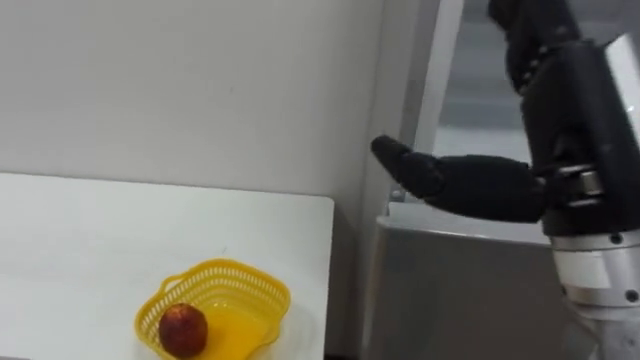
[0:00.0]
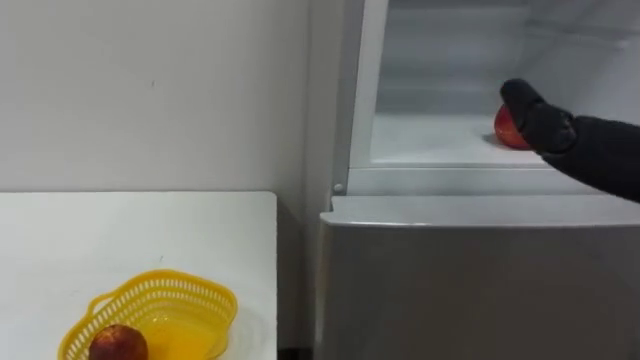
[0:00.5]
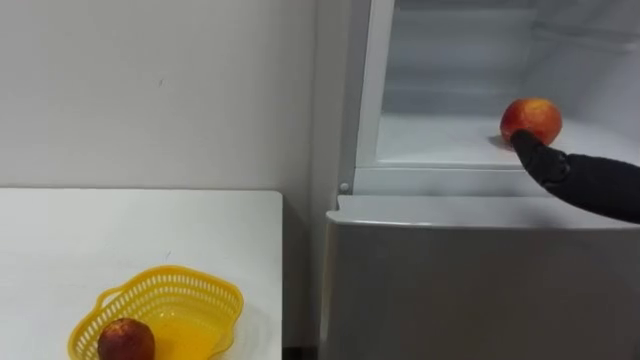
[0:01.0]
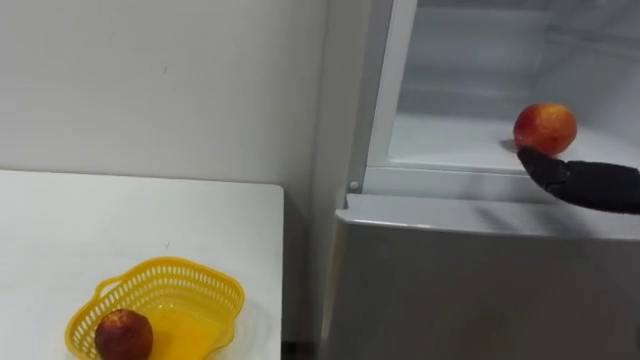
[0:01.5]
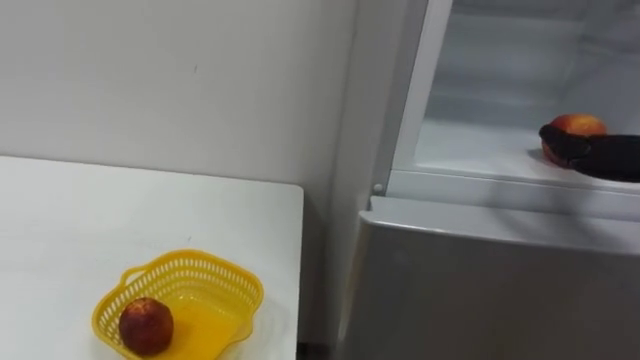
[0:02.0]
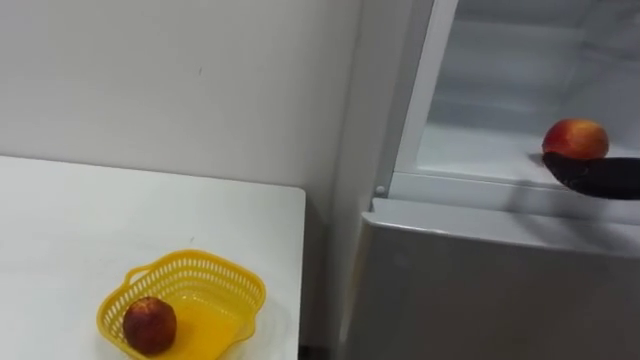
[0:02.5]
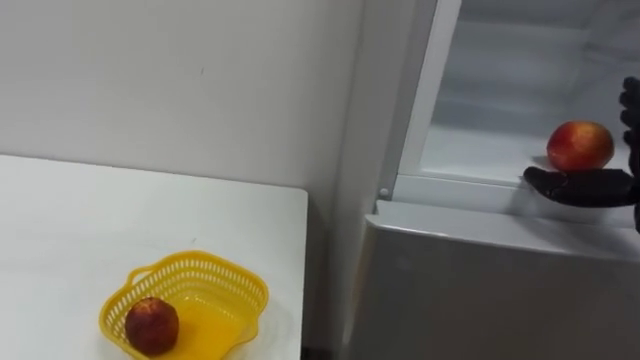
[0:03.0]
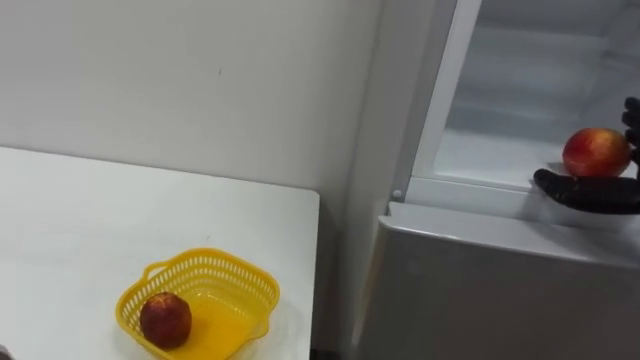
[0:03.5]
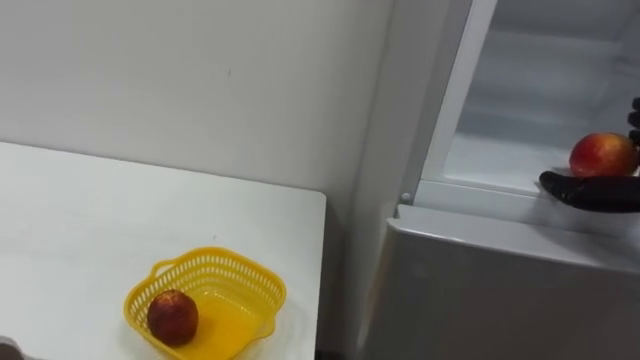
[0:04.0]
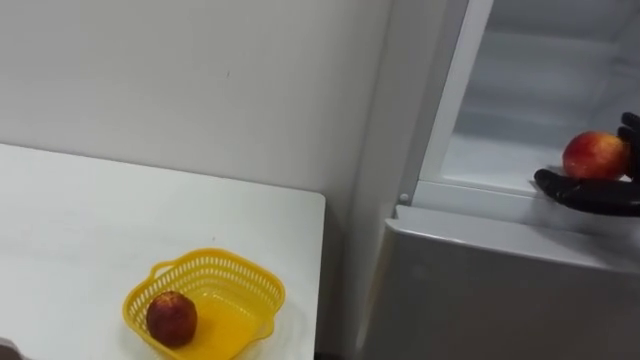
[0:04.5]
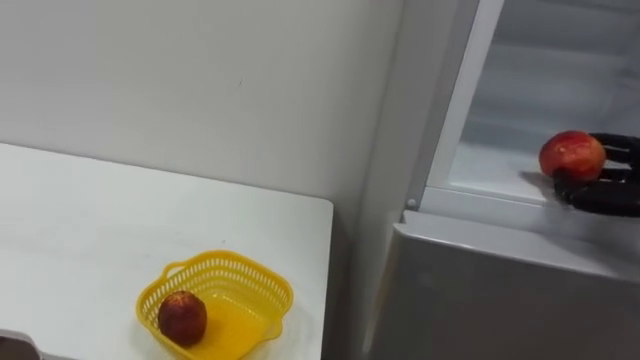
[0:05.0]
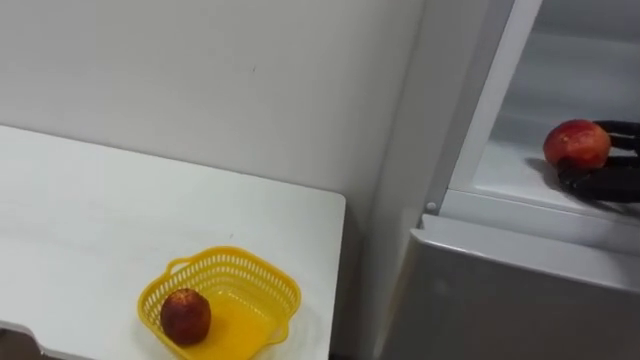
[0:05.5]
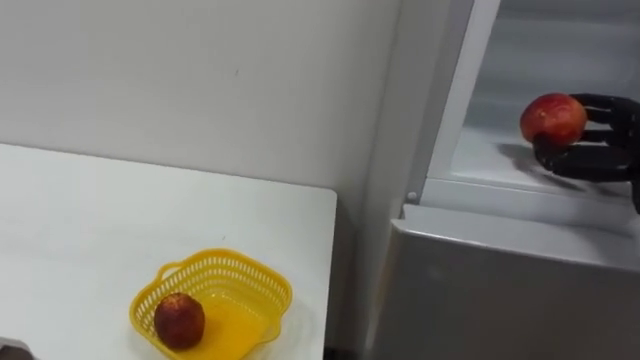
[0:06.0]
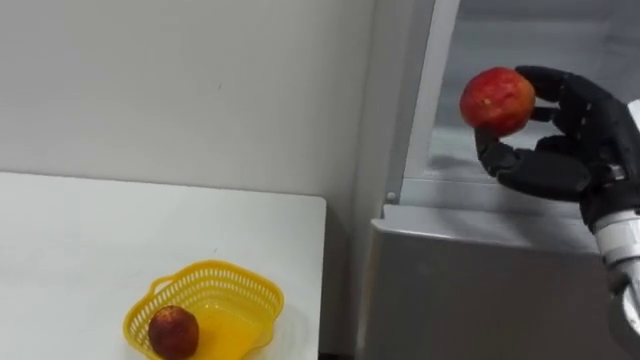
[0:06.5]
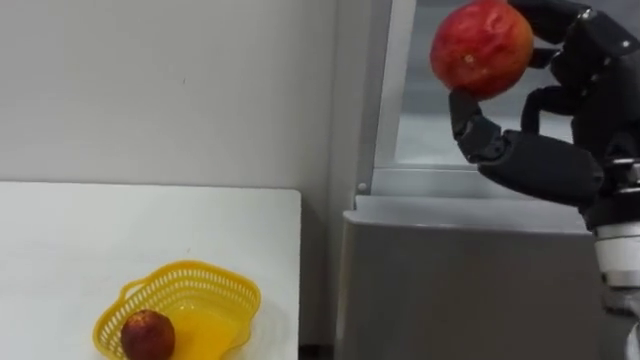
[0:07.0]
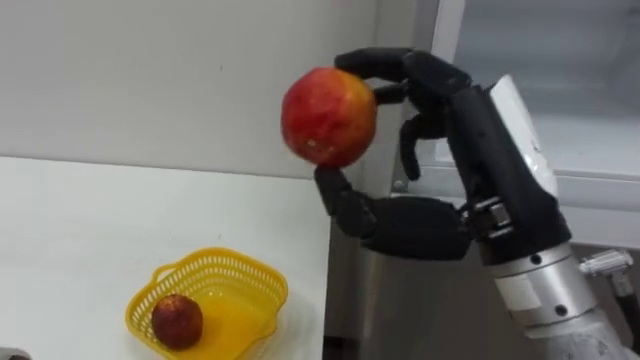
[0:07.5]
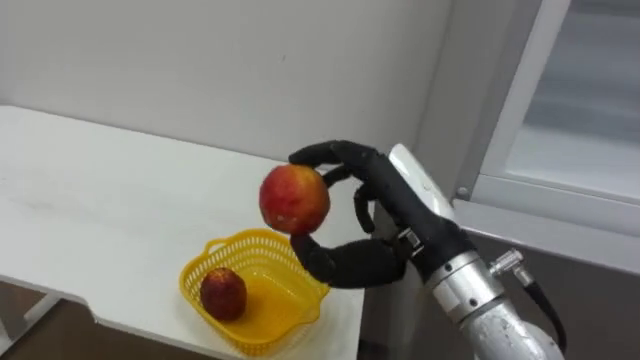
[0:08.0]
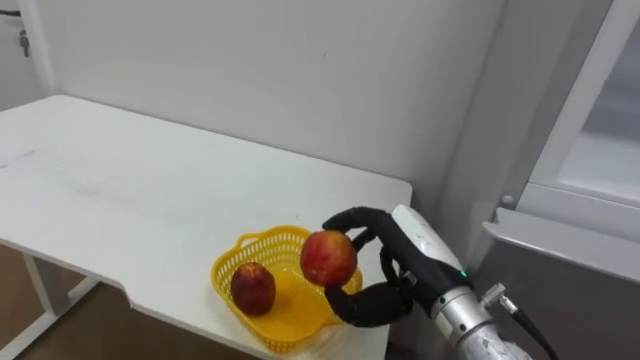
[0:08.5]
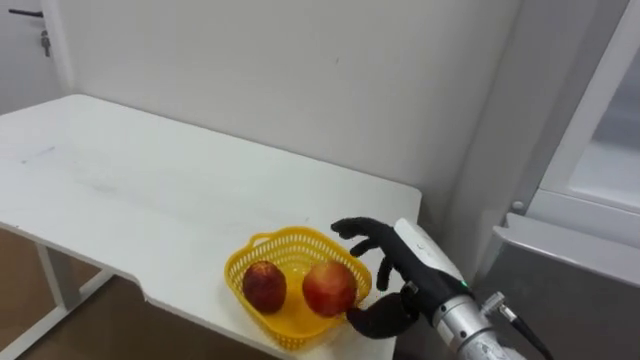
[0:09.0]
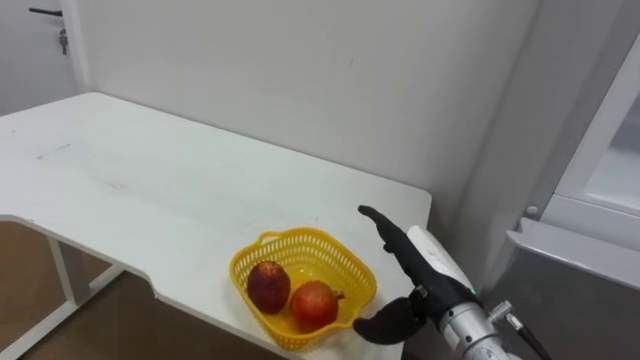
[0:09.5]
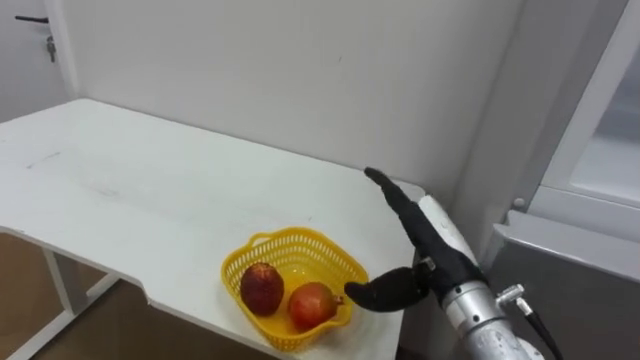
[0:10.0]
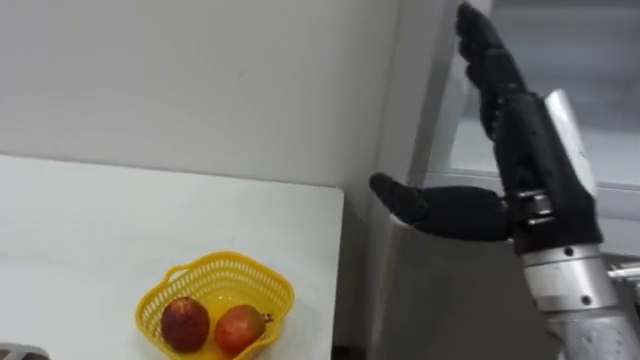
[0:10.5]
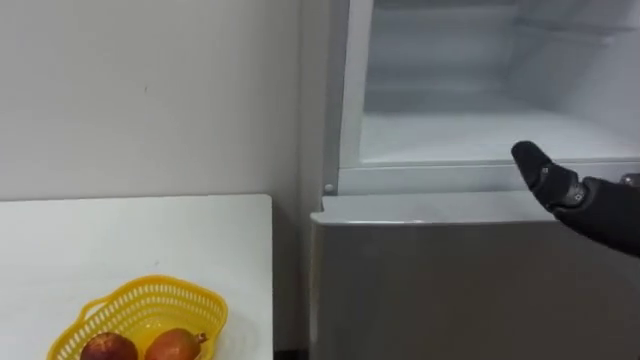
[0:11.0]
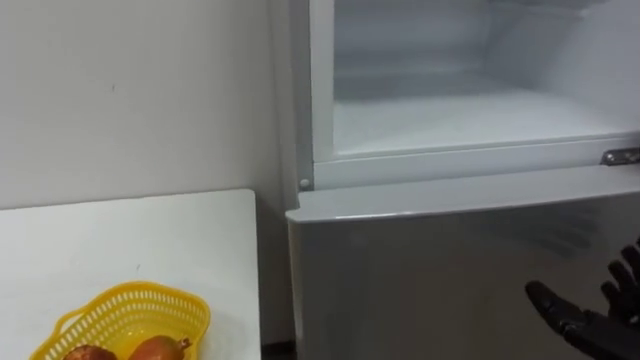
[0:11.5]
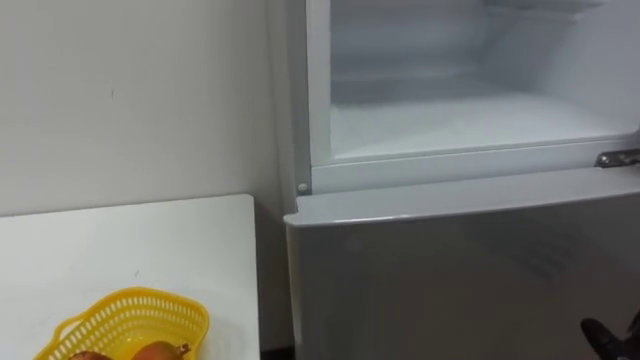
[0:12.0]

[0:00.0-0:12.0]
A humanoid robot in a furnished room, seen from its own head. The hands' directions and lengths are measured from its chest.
Task of the whole recording: Open the refrigerator door, take out the apple and the pomegranate, place them in the fruit basket on the left, and close the refrigerator door.
0:06.0 to 0:08.0: The right hand moves to the left, about 25 cm.
0:08.0 to 0:10.0: The right hand shifts some 10 cm downward, and opens up.

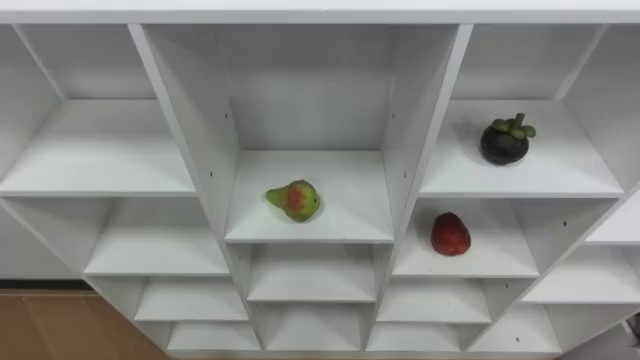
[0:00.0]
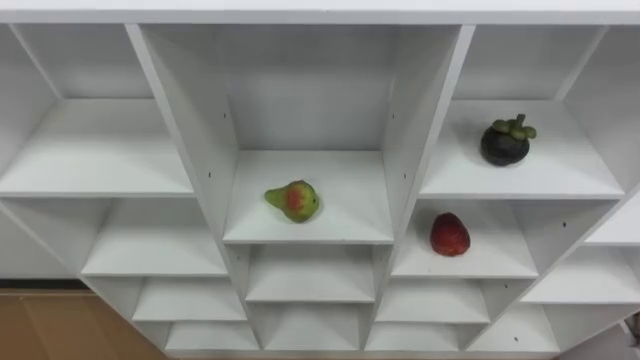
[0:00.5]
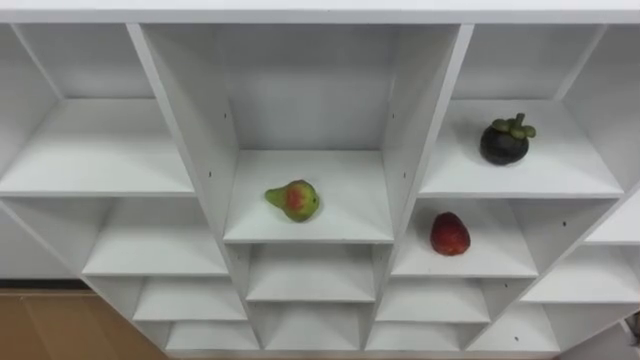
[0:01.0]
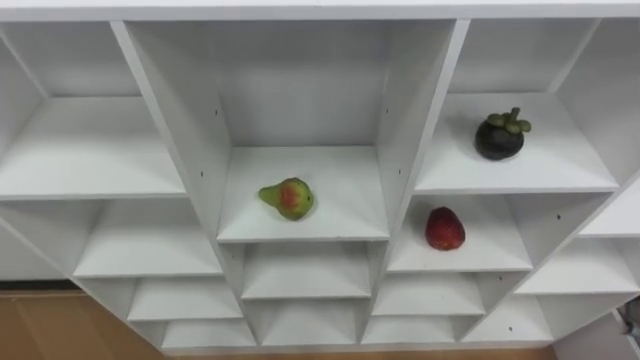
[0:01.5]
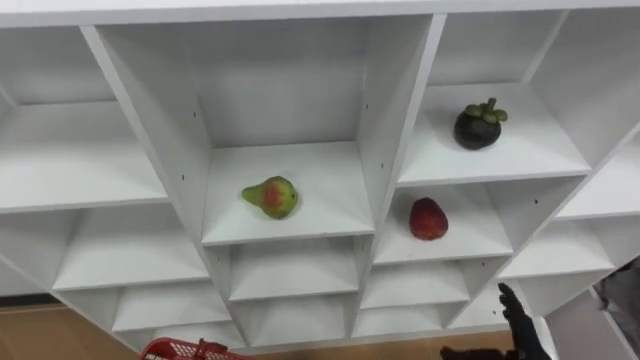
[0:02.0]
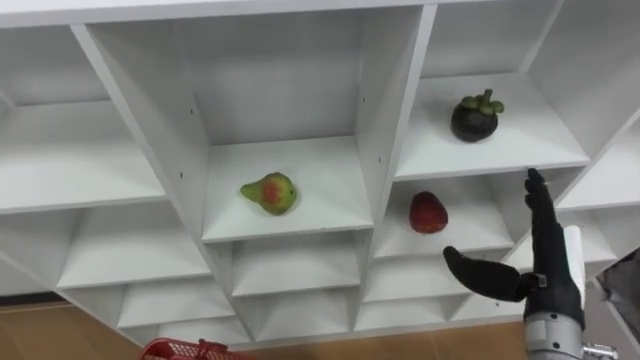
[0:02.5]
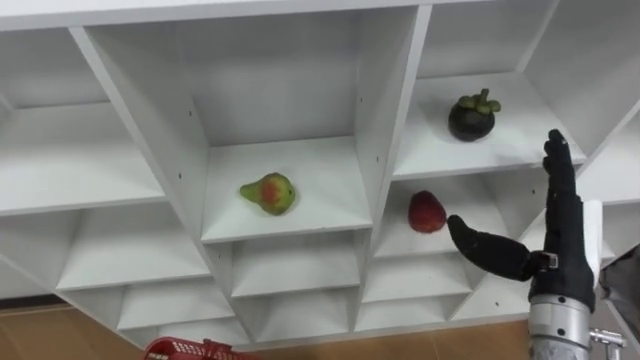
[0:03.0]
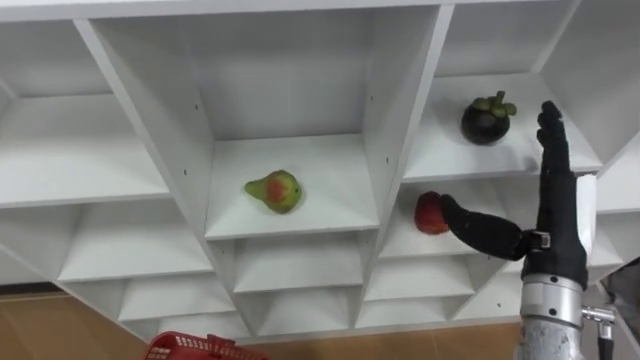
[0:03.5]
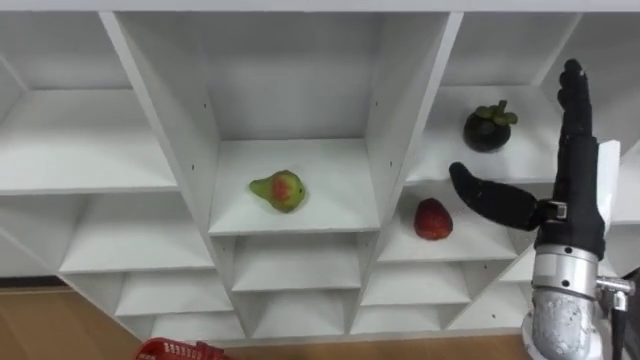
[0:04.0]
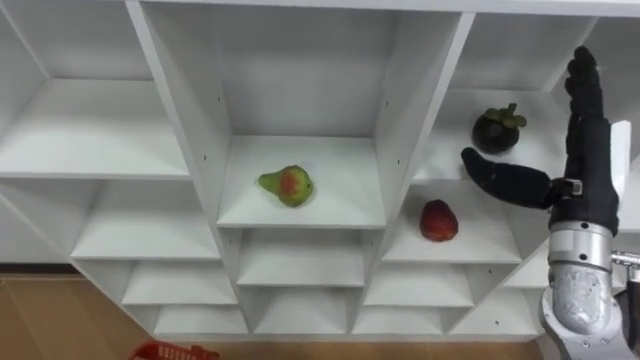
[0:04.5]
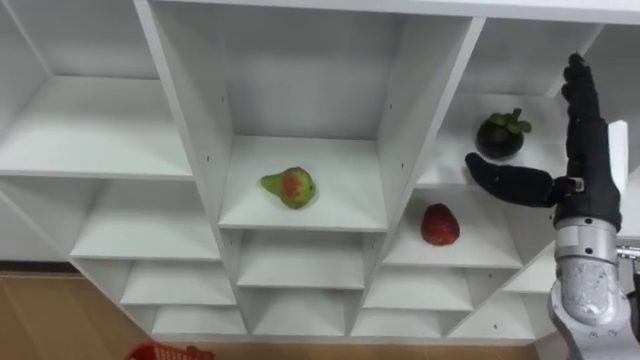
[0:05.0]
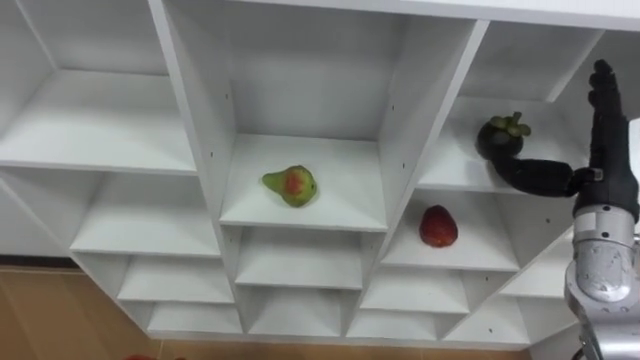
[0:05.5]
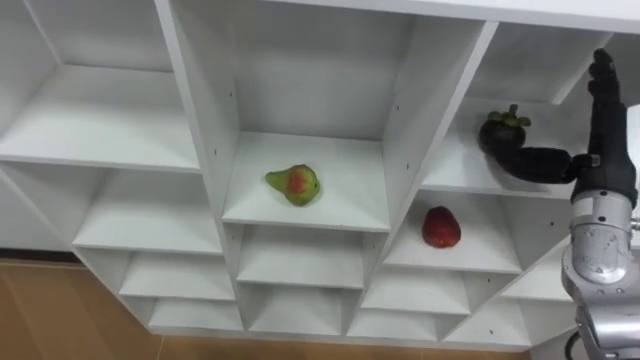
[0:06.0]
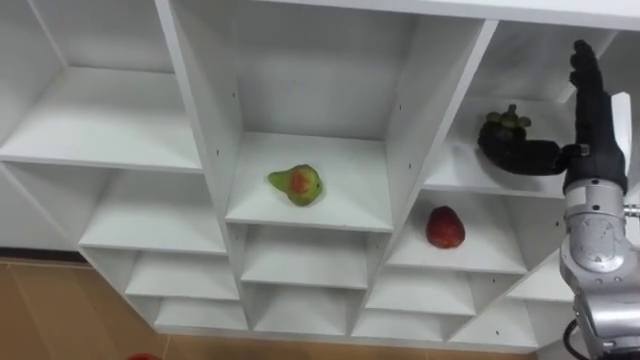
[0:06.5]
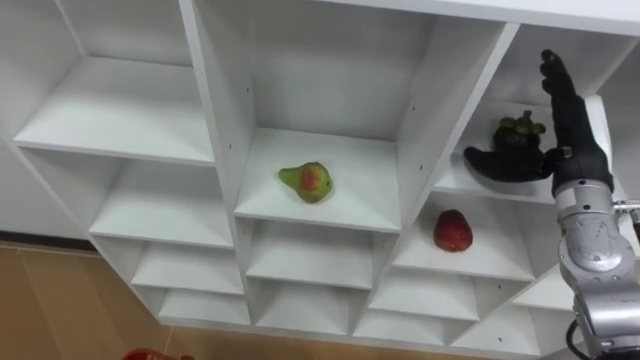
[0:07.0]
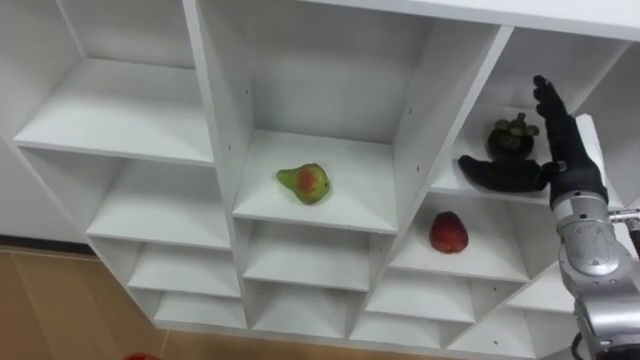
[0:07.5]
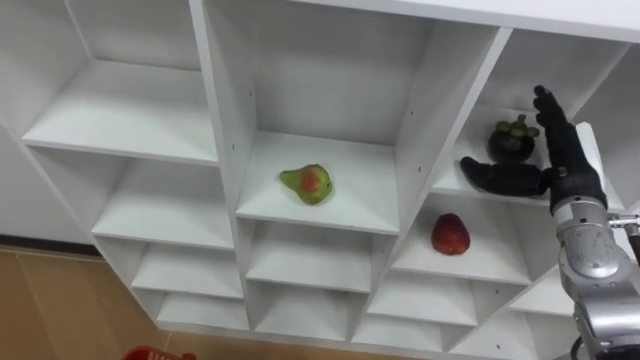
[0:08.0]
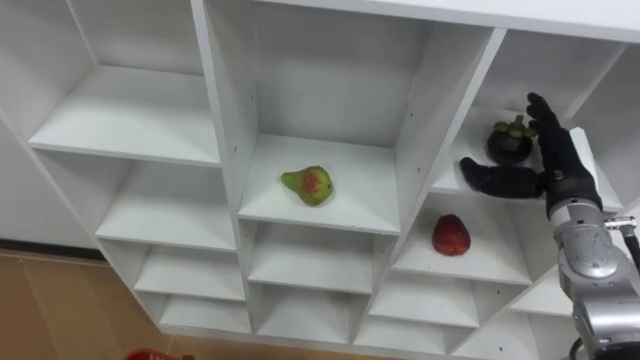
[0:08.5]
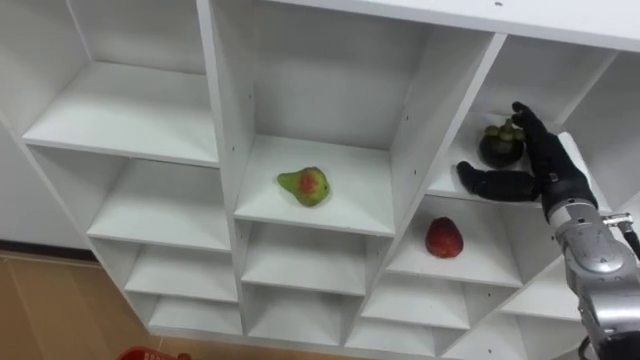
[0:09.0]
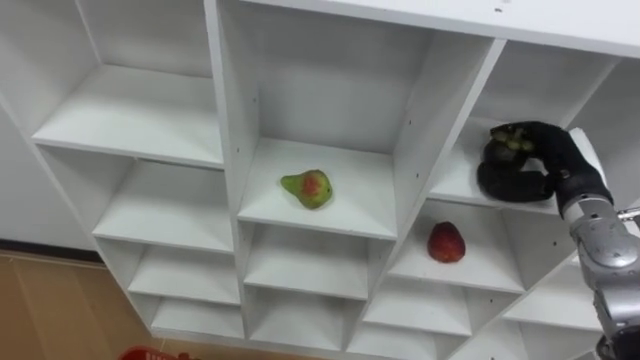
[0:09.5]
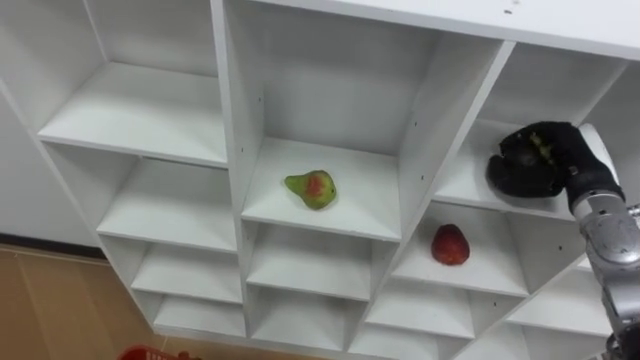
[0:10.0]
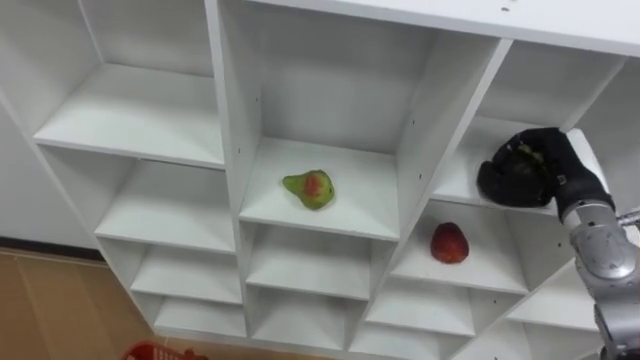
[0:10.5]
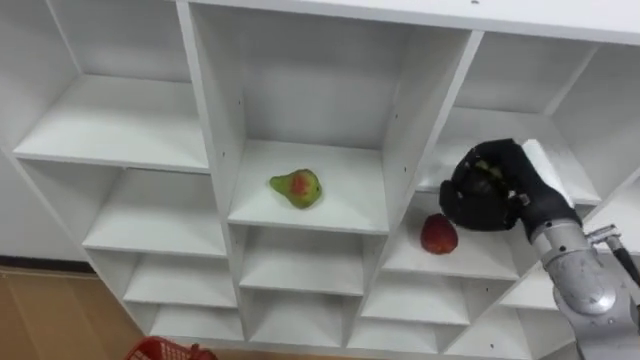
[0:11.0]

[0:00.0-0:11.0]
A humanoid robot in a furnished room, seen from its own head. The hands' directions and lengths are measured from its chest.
Task of the whole recording: Hold the basket and collect the fruits from 3 different cells of the closet into it.
0:02.0 to 0:03.5: The right hand shifts approximately 20 cm upward and forward.
0:03.5 to 0:05.5: The right hand heads to the right and forward, covering approximately 10 cm.
0:09.0 to 0:11.0: The right hand ends up about 5 cm from where it was, and closes its fingers.
